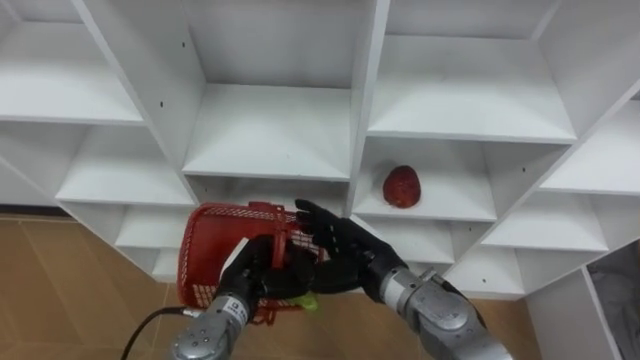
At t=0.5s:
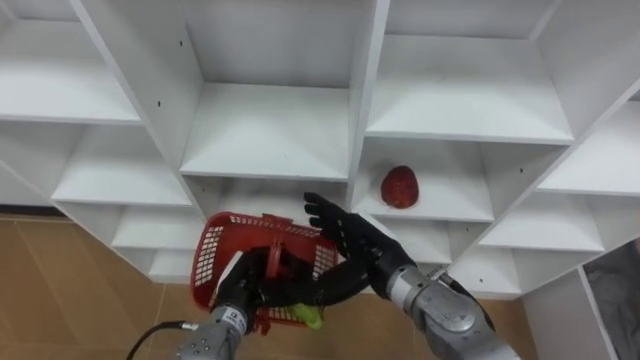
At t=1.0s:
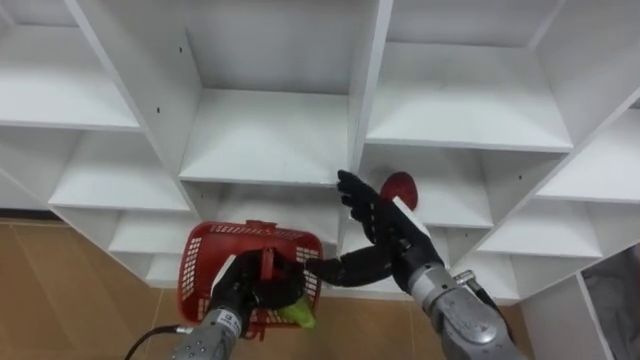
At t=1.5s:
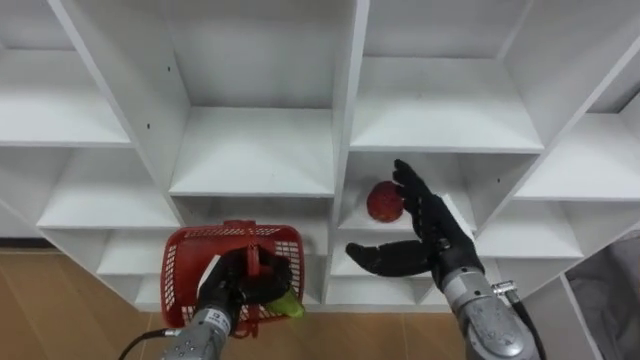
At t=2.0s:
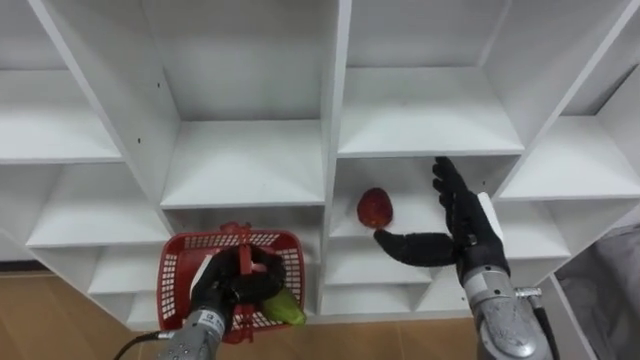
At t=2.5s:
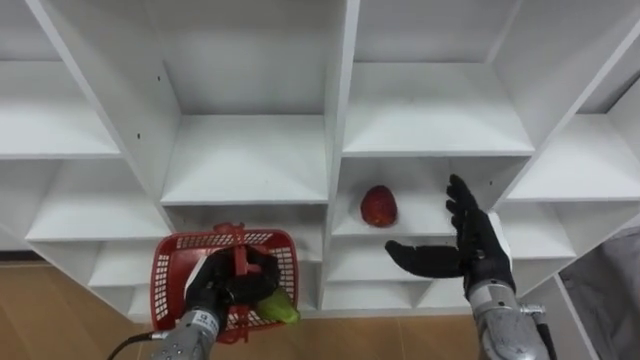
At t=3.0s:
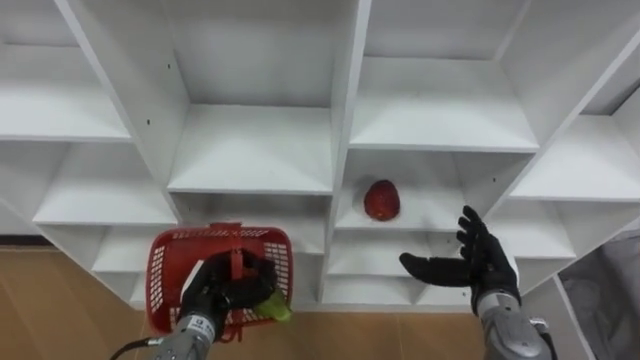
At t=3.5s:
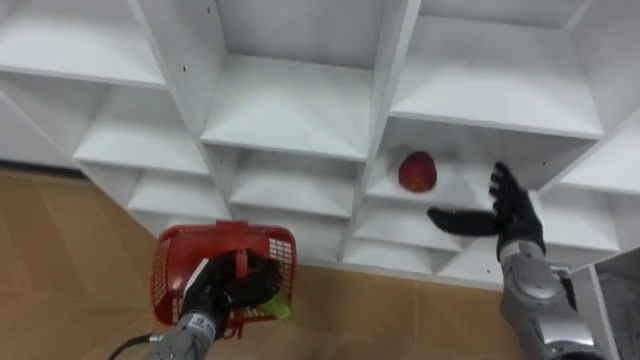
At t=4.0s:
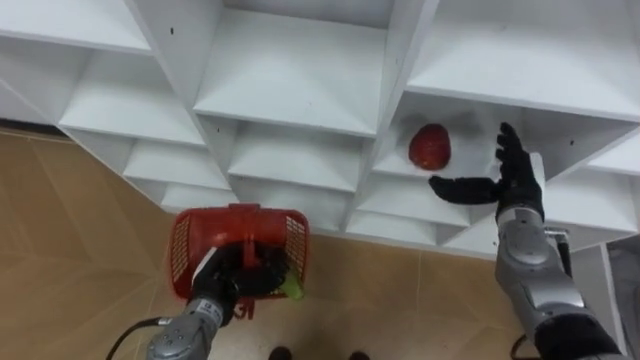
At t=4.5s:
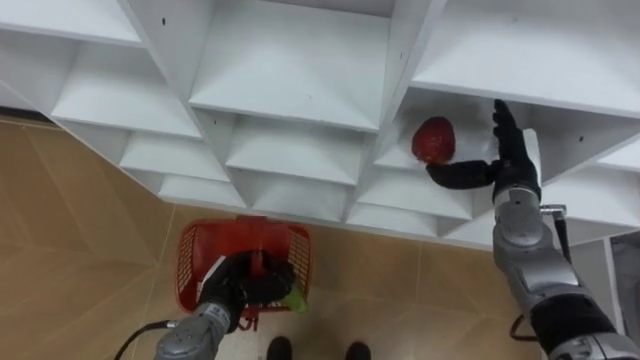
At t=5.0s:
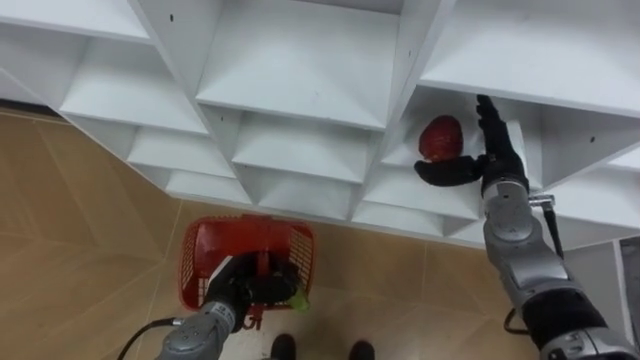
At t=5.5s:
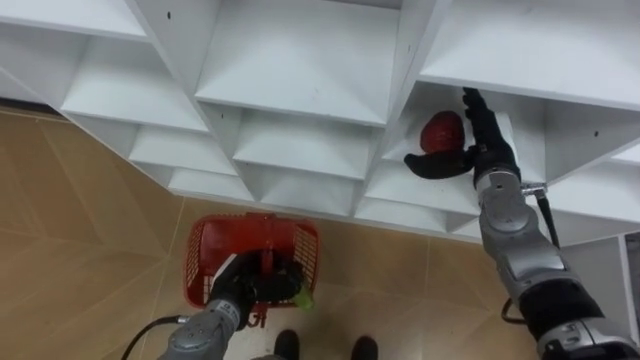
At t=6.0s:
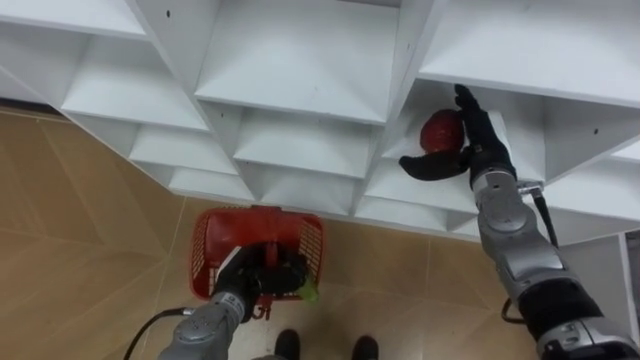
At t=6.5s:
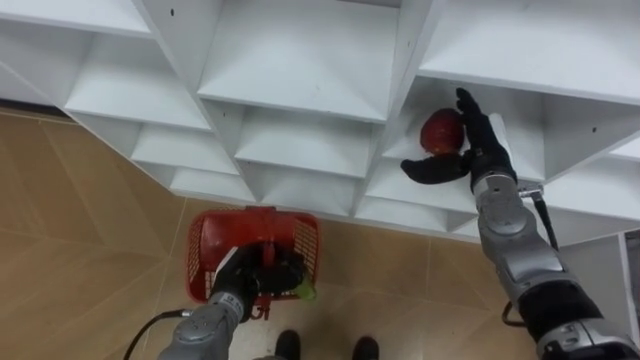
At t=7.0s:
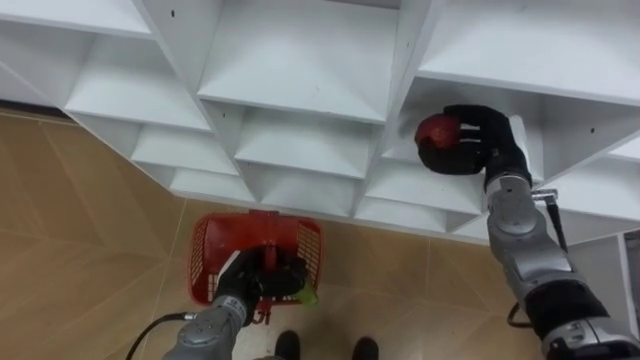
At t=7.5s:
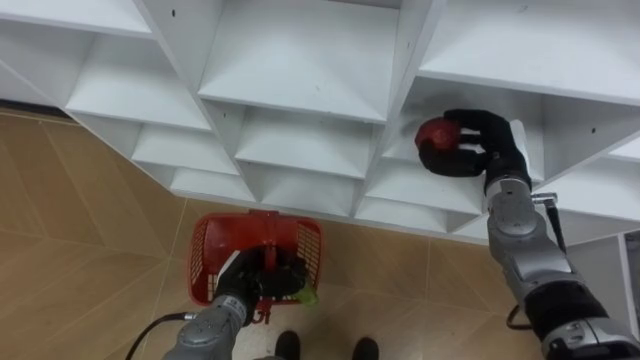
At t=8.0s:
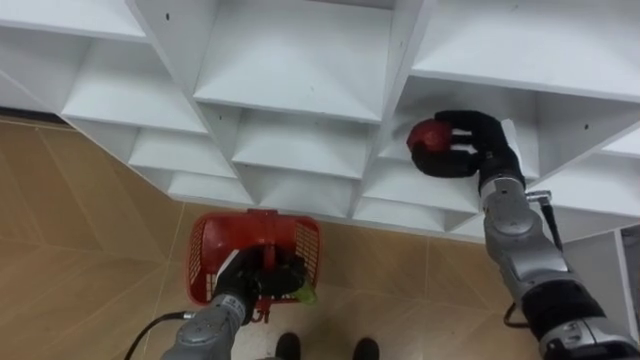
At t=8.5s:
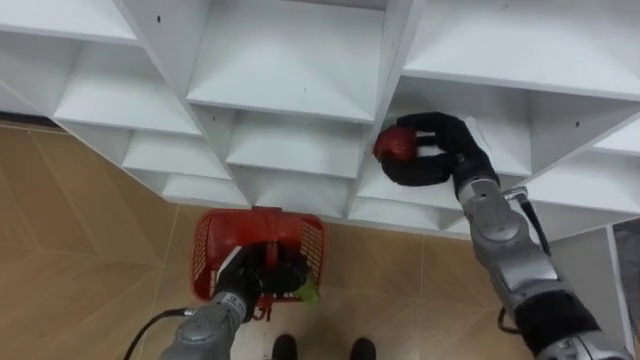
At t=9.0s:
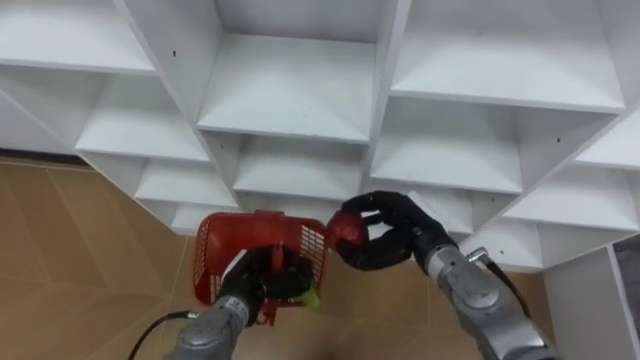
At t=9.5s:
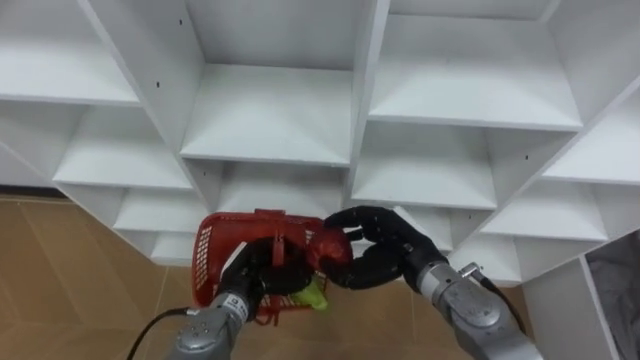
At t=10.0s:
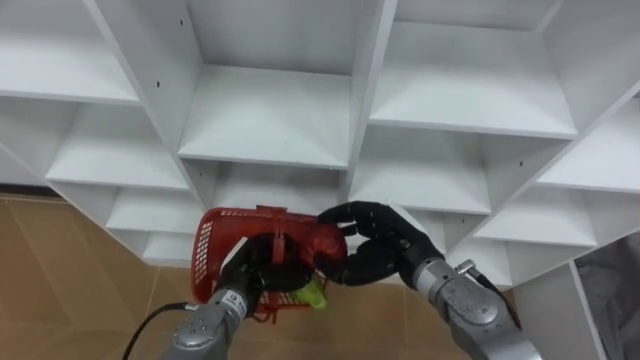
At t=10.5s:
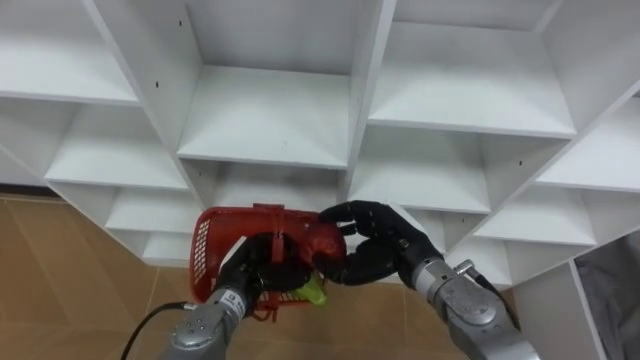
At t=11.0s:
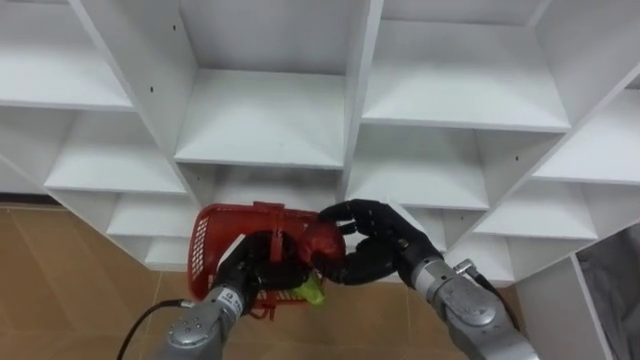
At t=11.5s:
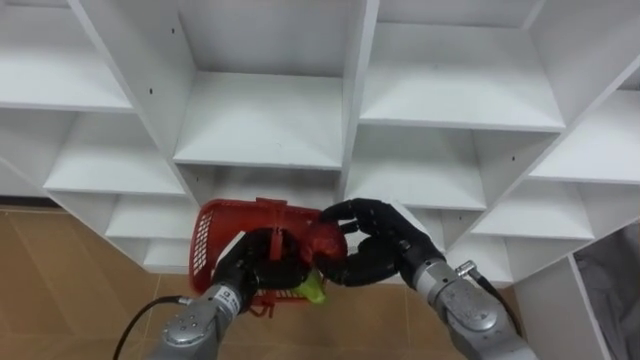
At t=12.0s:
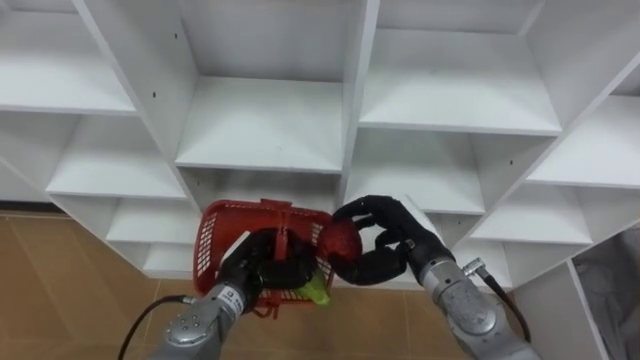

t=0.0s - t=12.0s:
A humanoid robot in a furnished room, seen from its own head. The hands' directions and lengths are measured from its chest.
Task of the whole recording: Hold the basket and collect the fruits from 3 different cells of the closet into it.
t=0.0s - t=2.0s: The right hand travels to the right by about 15 cm, while the left hand shifts by roughly 5 cm.
t=2.0s - t=4.0s: The right hand heads forward and to the right, covering about 10 cm.
t=4.0s - t=6.0s: The right hand changes place by roughly 5 cm.
t=6.0s - t=8.0s: The right hand closes its fingers.
t=8.0s - t=10.0s: The right hand heads to the left and backward, covering some 15 cm.
t=10.0s - t=12.0s: The hands move only a little.

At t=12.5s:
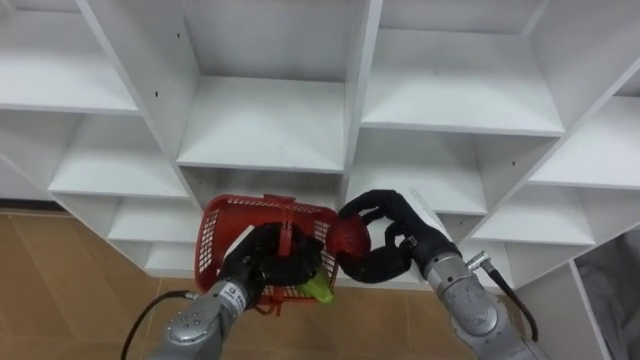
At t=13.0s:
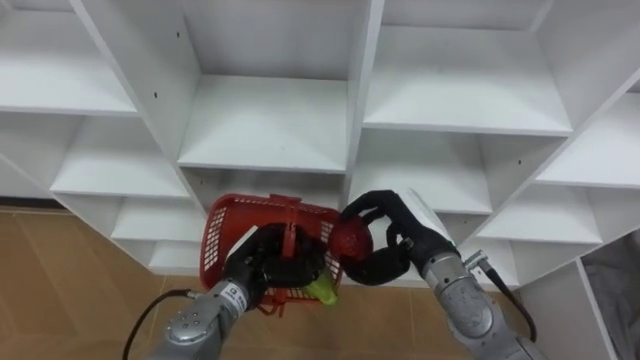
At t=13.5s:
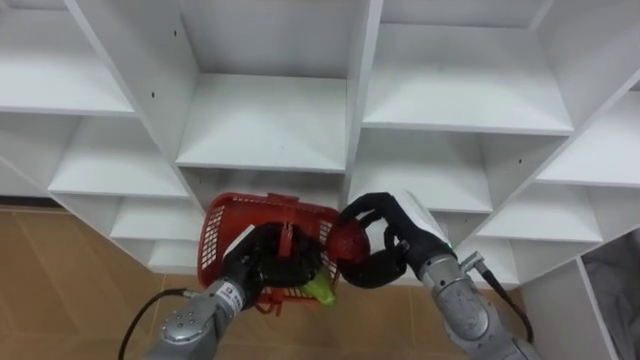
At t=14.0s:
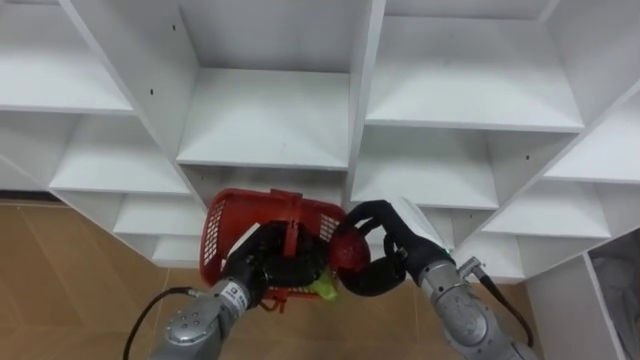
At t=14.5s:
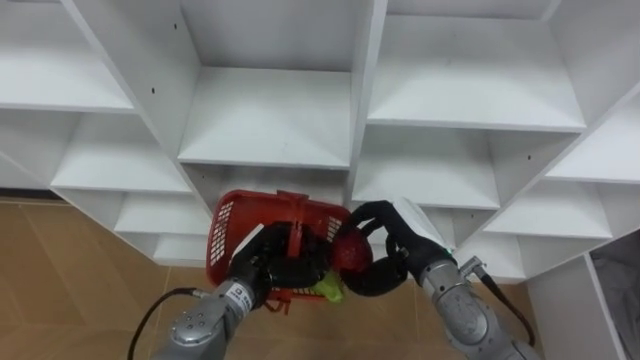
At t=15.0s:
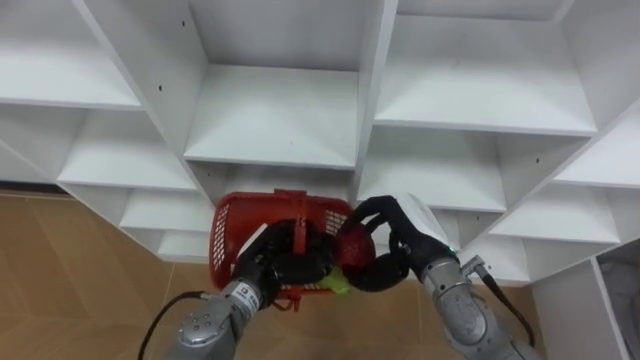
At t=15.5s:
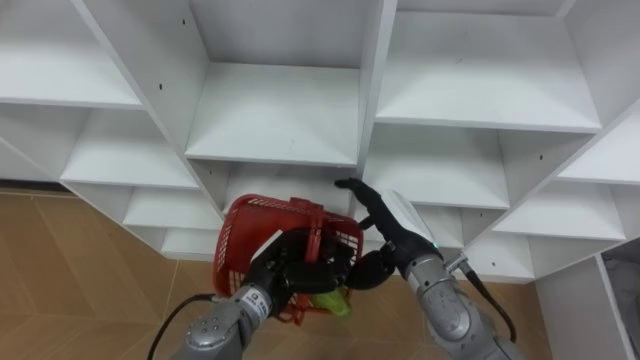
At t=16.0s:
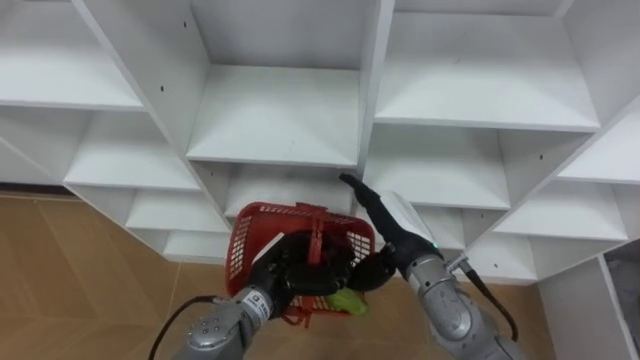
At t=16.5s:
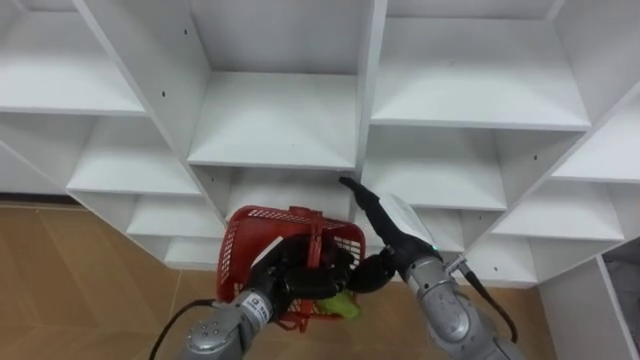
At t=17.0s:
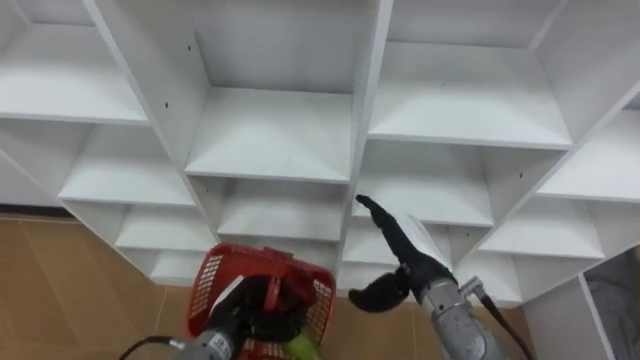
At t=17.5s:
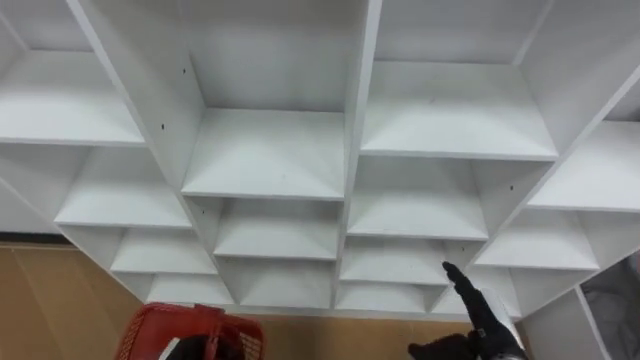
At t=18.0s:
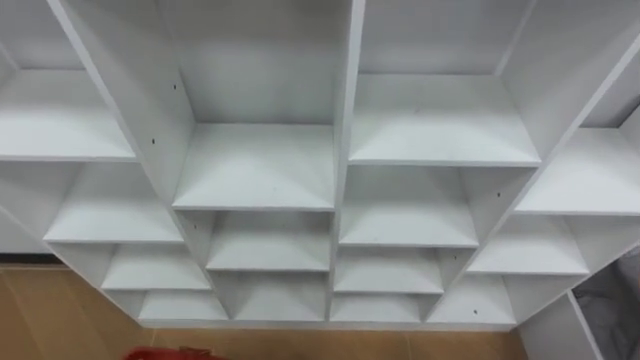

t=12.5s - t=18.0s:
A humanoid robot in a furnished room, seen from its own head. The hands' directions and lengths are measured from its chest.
Task of the whole recording: Hold the basket and collect the fruits from 3 different cells of the closet into it.
t=14.5s - t=16.0s: The right hand opens up.

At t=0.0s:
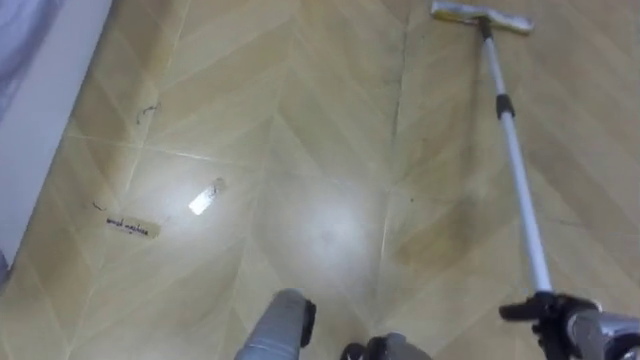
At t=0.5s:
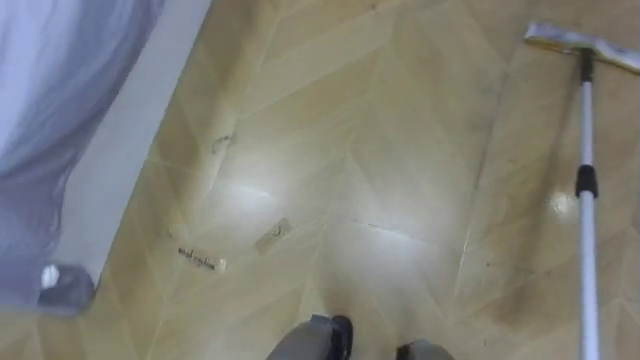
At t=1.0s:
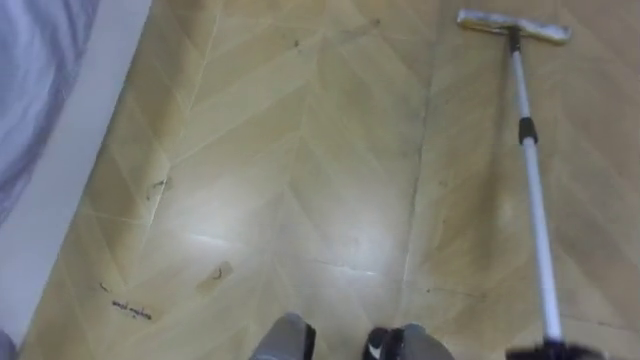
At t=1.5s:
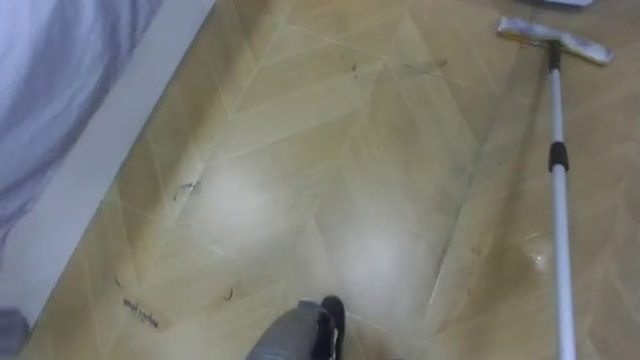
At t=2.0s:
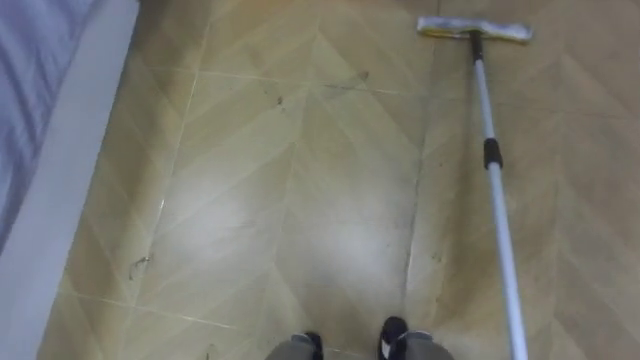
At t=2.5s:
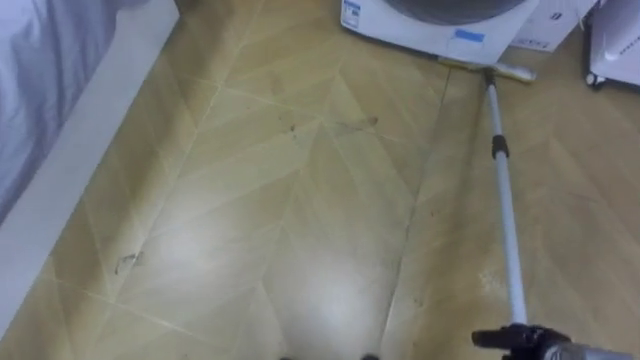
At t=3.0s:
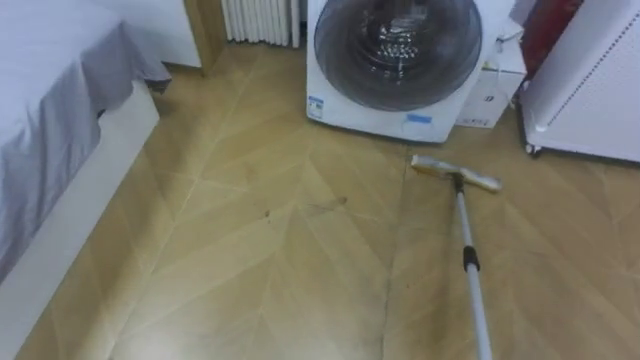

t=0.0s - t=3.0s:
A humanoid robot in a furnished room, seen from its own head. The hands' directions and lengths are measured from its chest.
Task of the whole recording: Use the mop to clean the black water stains off the floor.
t=0.0s - t=1.5s: The robot rotates about 15 degrees to its left.
